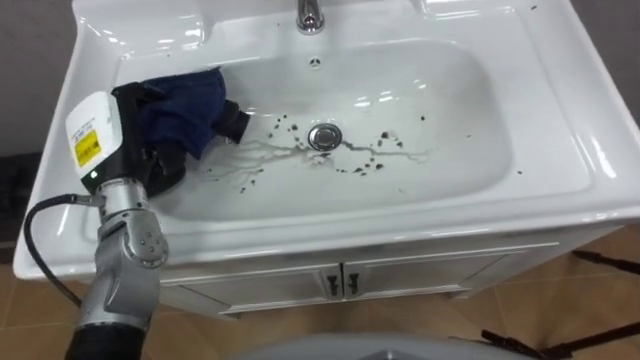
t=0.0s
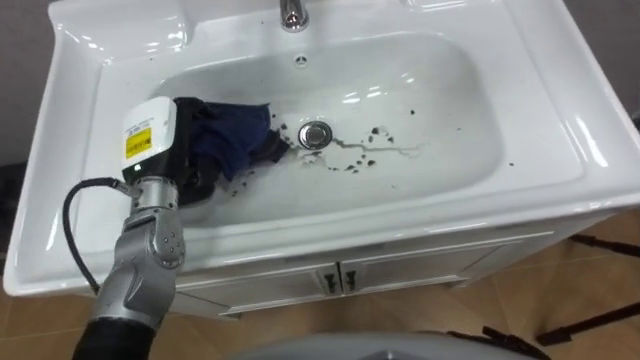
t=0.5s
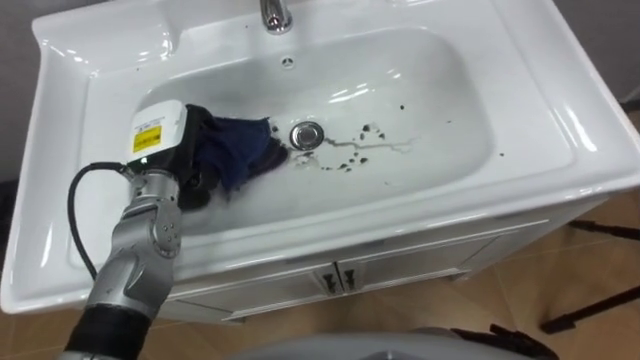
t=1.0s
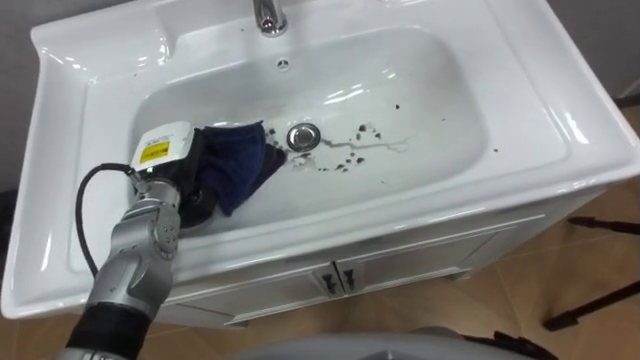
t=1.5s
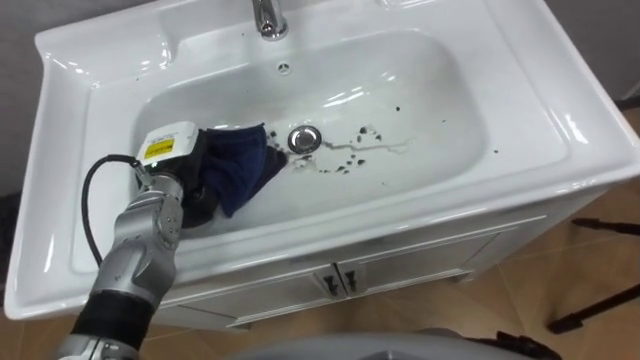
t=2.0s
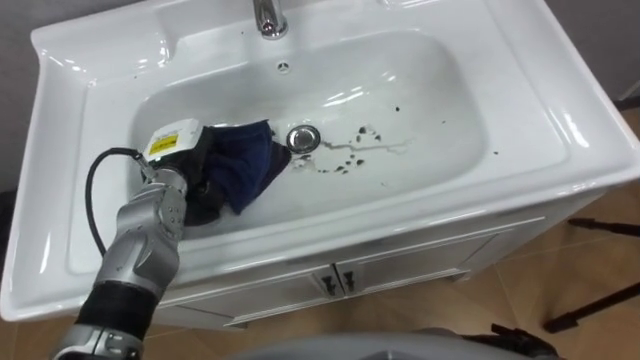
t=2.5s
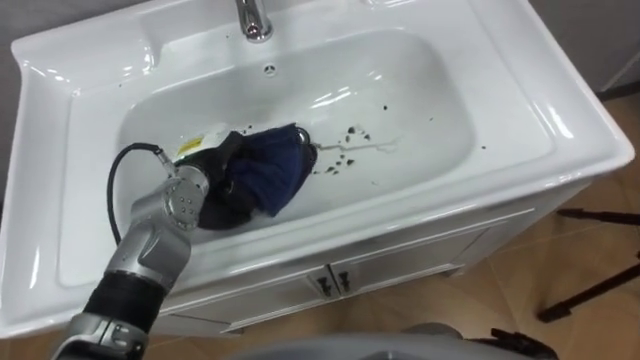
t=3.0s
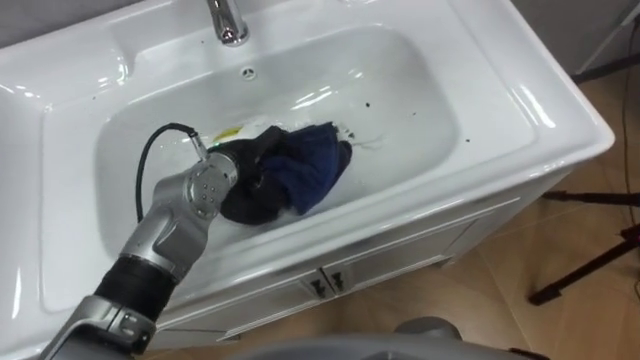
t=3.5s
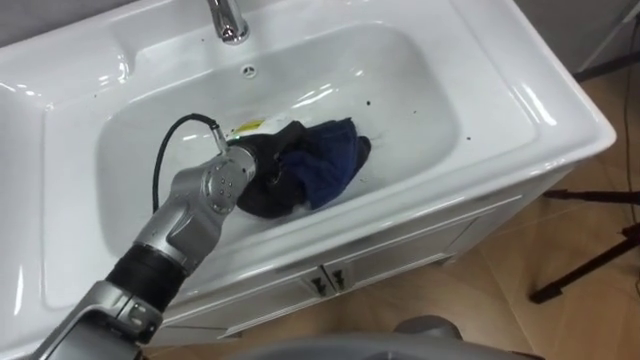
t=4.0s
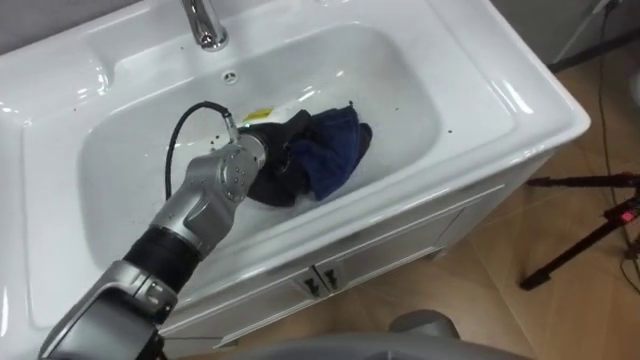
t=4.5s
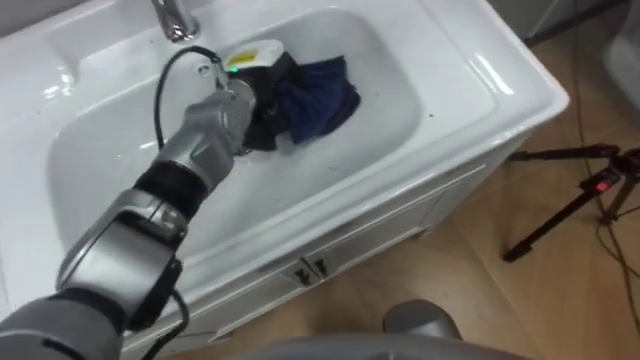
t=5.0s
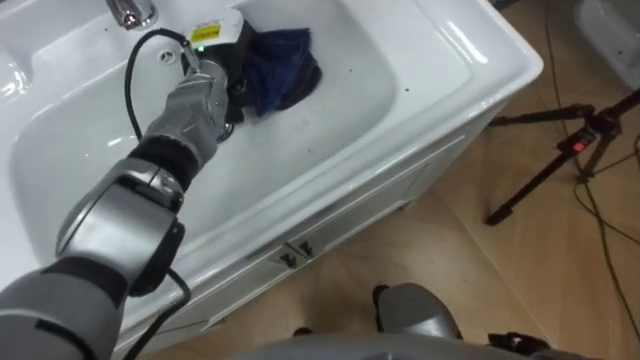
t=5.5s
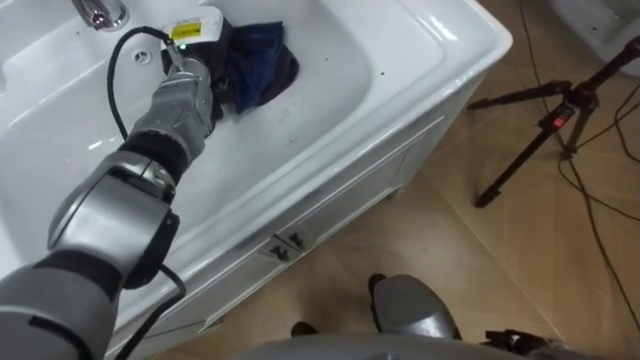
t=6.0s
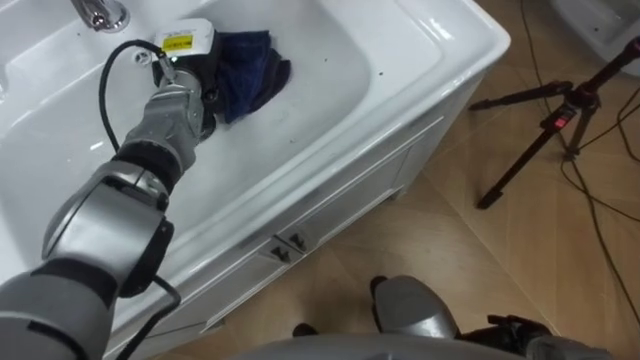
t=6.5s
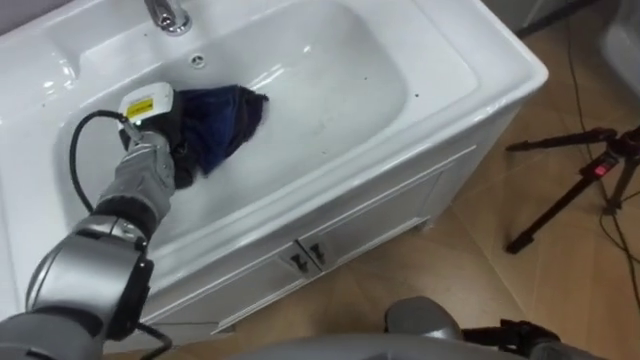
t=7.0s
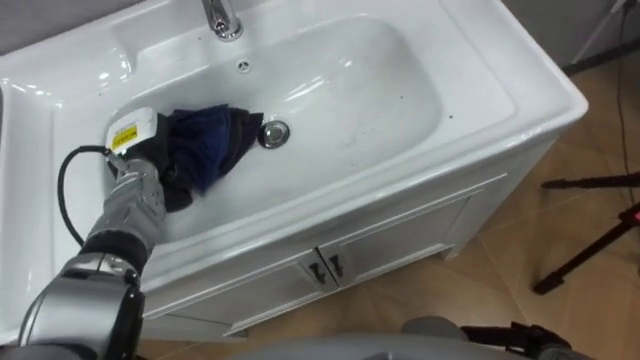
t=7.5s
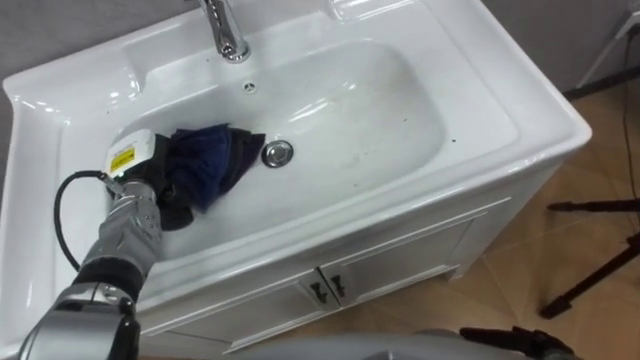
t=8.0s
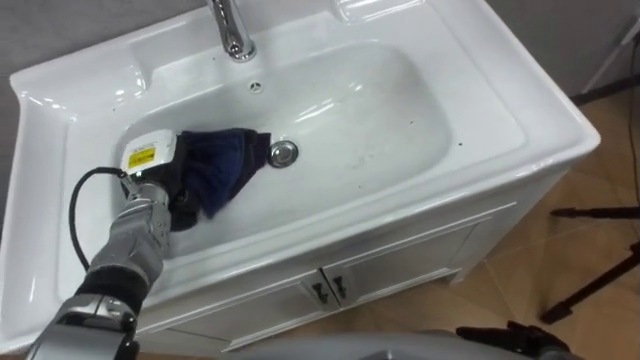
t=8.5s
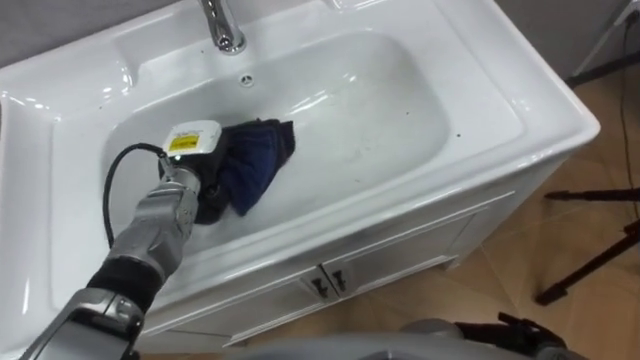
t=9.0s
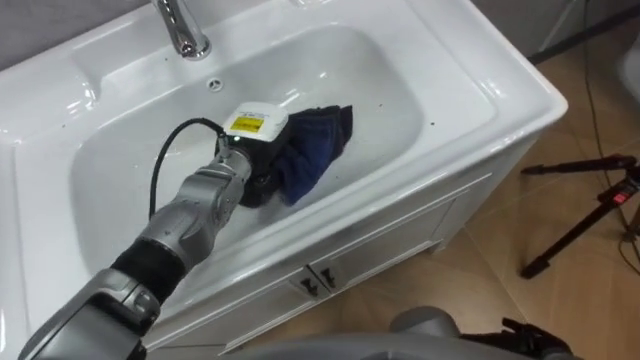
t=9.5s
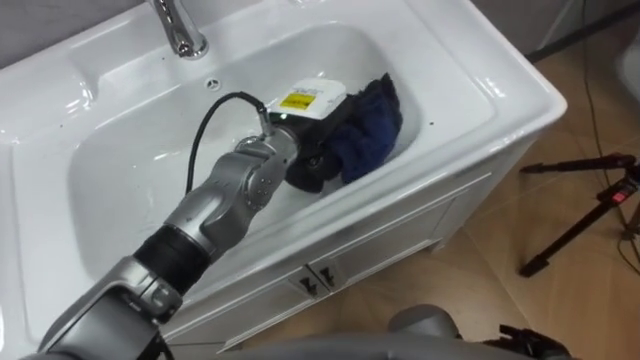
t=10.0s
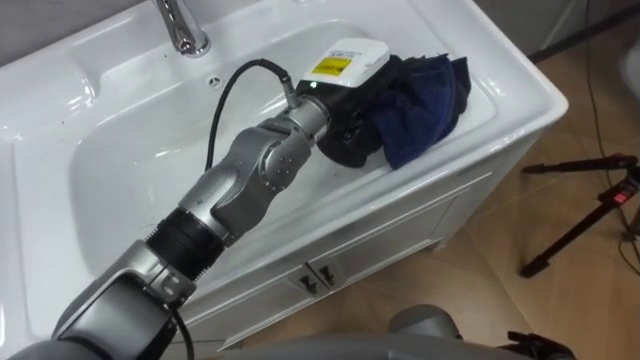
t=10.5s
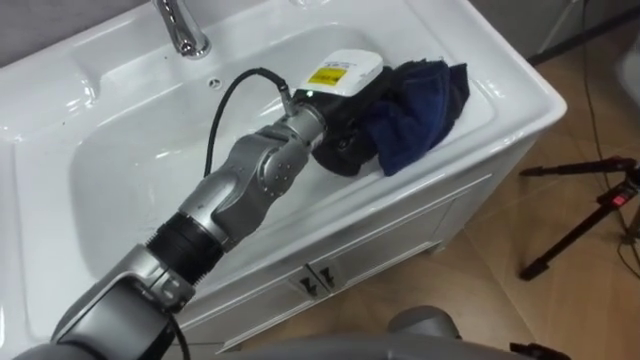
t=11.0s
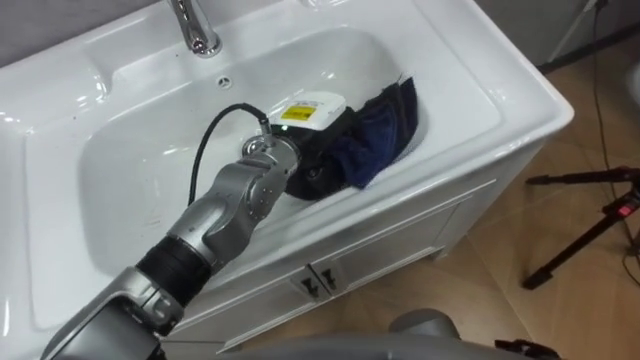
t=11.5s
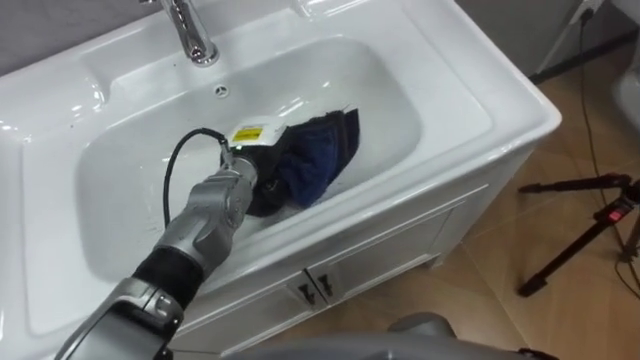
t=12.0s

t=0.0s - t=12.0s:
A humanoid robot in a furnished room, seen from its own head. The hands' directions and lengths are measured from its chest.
Task of the whole recording: Use the cloth on the right to wipe away the black stain in the sink.
t=0.0s - t=2.0s: The left hand shifts approximately 5 cm downward.
t=2.0s - t=4.0s: The left hand shifts approximately 15 cm to the right.
t=4.0s - t=6.0s: The left hand is displaced forward, to the left and upward by about 15 cm.
t=6.0s - t=8.0s: The left hand goes about 20 cm backward, downward and to the left.
t=8.0s - t=10.0s: The left hand is displaced to the right and upward by approximately 25 cm.
t=10.0s - t=12.0s: The left hand is displaced downward and to the left by some 10 cm.

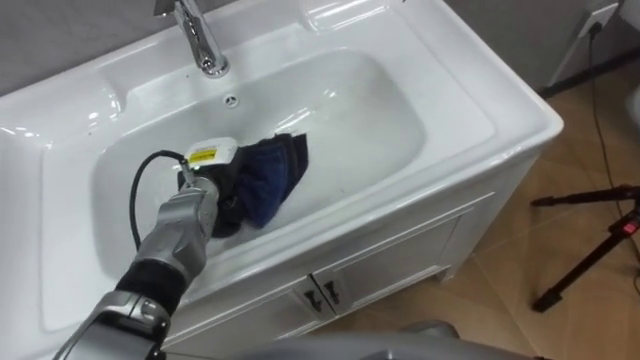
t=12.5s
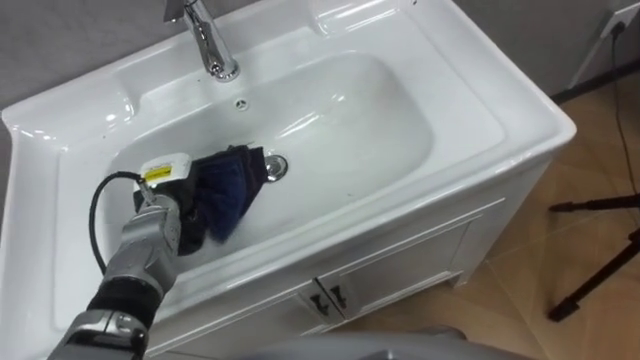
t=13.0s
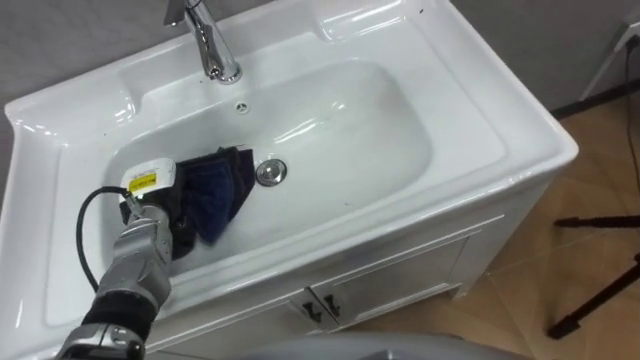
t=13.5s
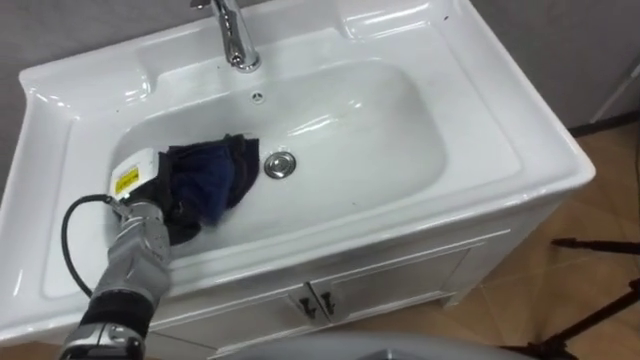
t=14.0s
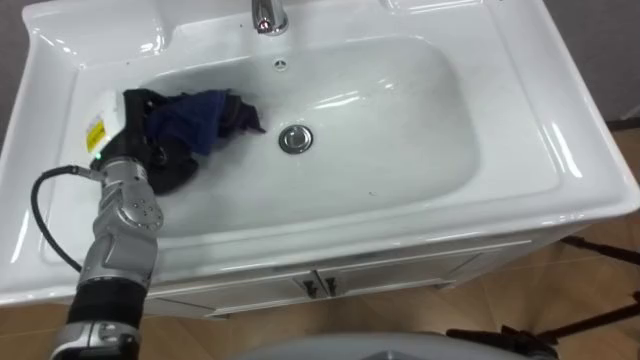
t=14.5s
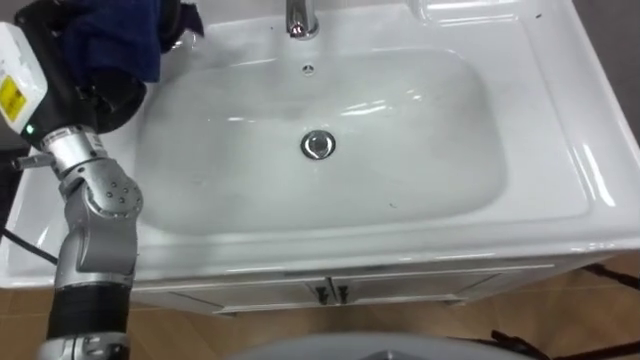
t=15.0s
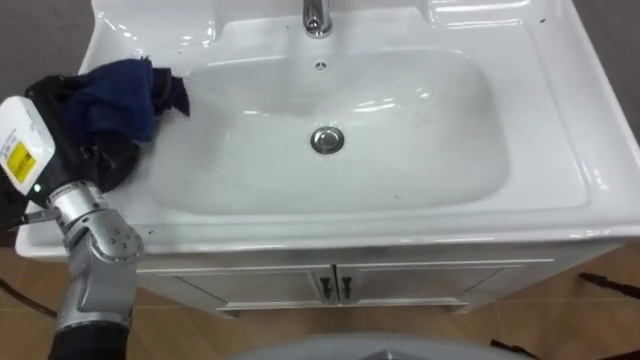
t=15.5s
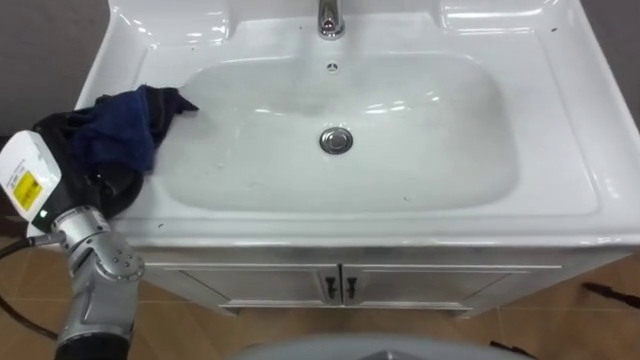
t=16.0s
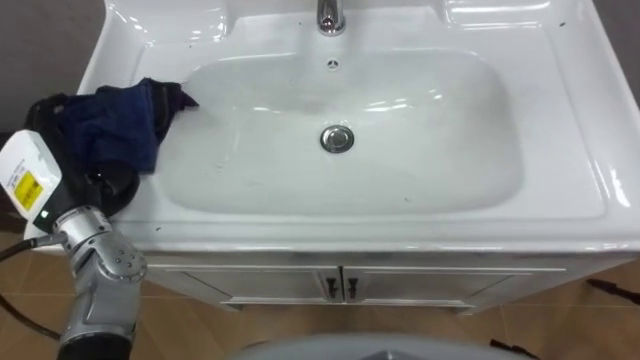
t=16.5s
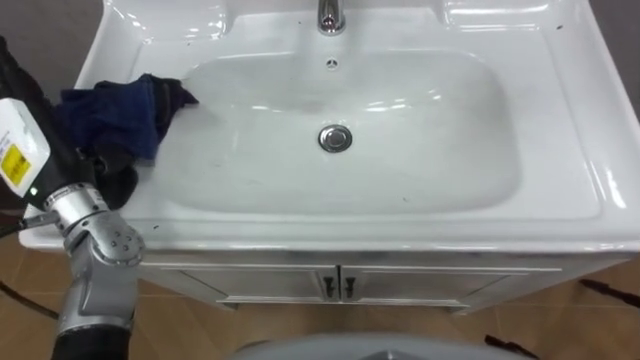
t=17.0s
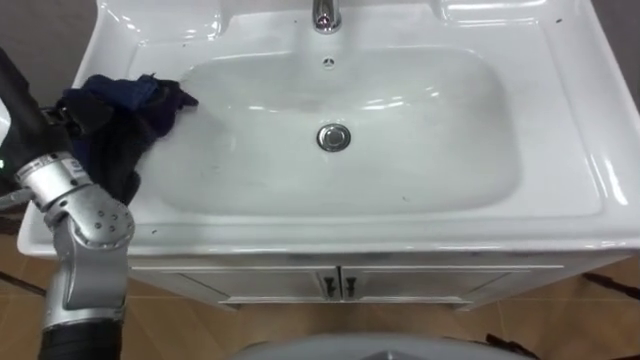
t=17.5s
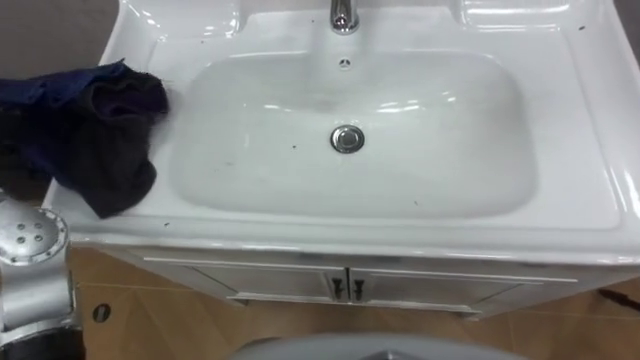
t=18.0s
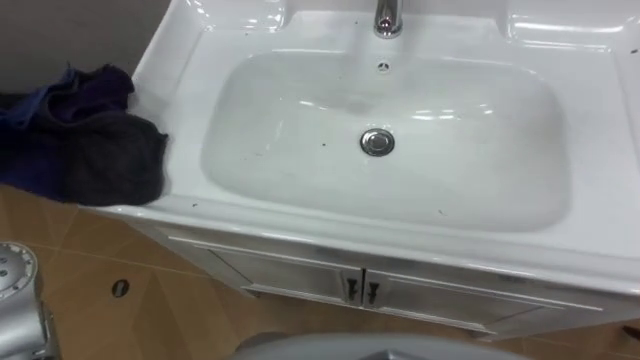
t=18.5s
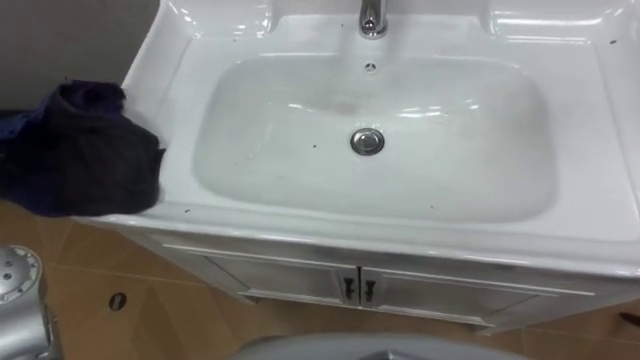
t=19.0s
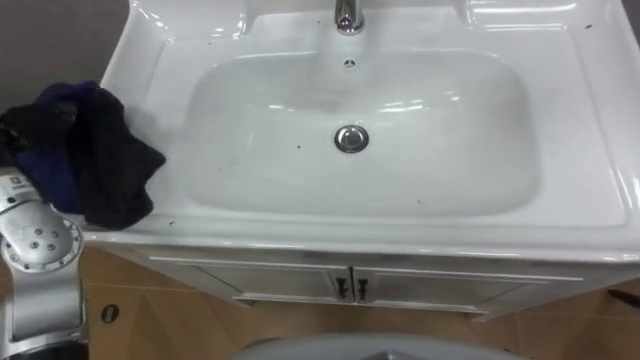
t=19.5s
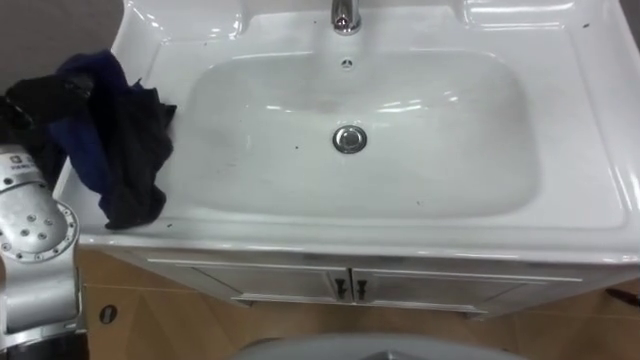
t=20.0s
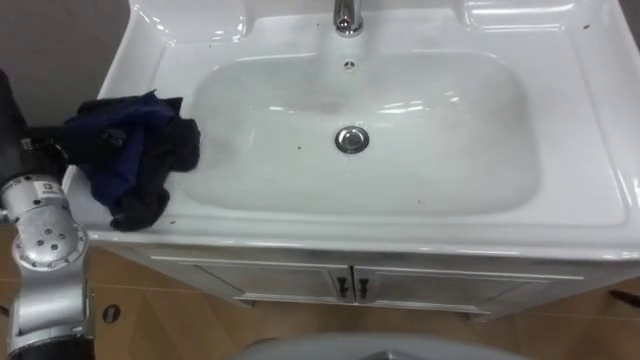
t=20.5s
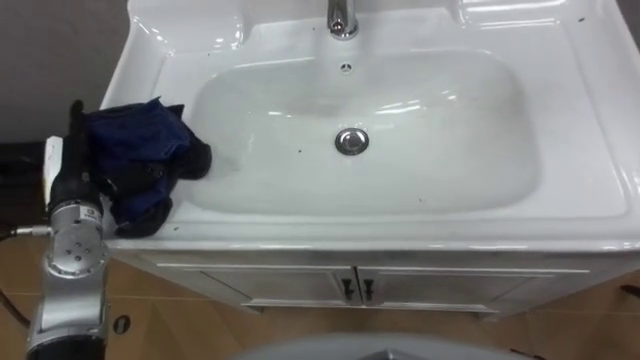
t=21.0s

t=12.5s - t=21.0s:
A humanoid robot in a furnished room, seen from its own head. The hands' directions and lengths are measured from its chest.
Task of the whole recording: Use the cloth on the right to wipe away the black stain in the sink.
t=12.5s - t=14.5s: The left hand moves to the left and upward, about 15 cm.
t=14.5s - t=16.5s: The left hand heads backward and to the left, covering roughly 10 cm, travels upward and back again, some 10 cm each way, and opens.
